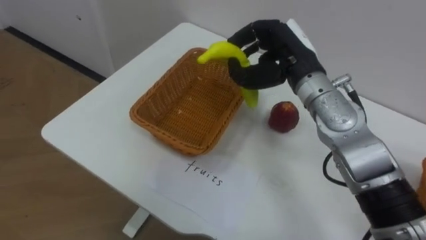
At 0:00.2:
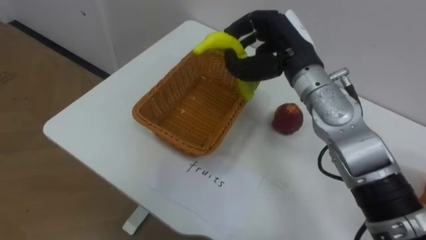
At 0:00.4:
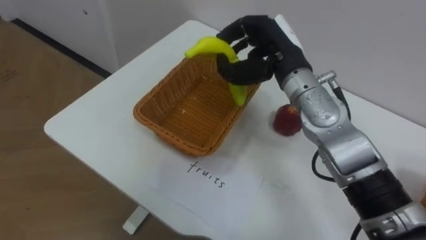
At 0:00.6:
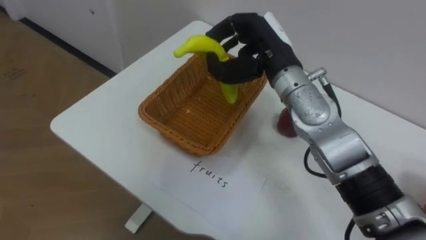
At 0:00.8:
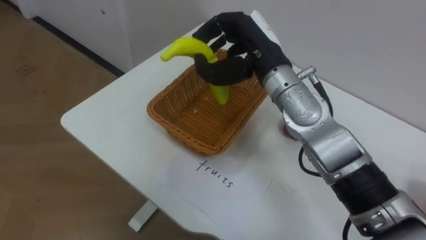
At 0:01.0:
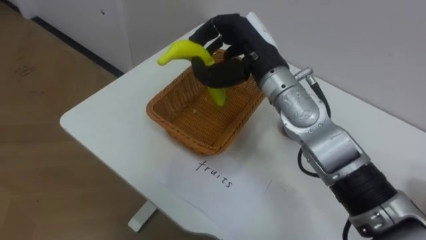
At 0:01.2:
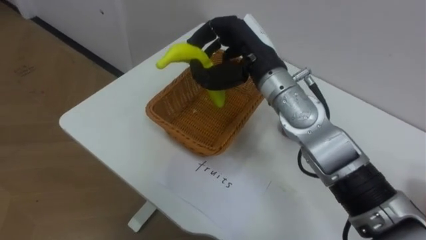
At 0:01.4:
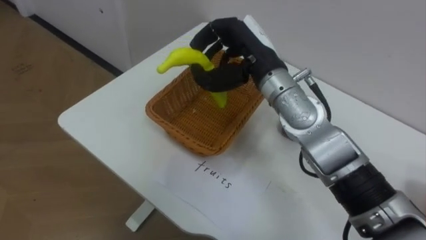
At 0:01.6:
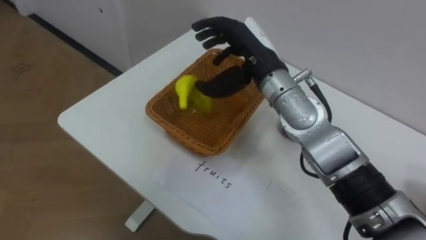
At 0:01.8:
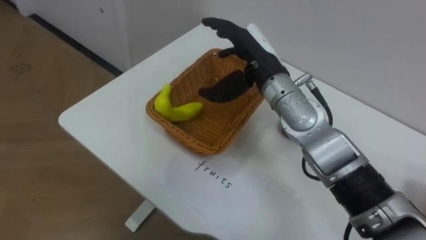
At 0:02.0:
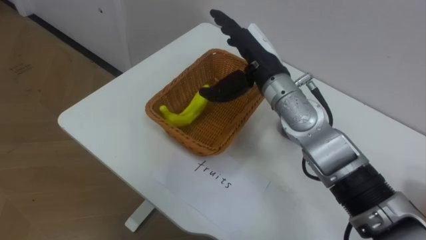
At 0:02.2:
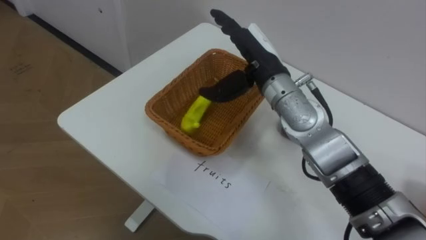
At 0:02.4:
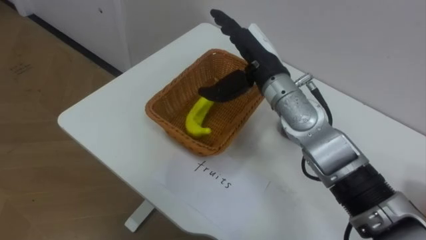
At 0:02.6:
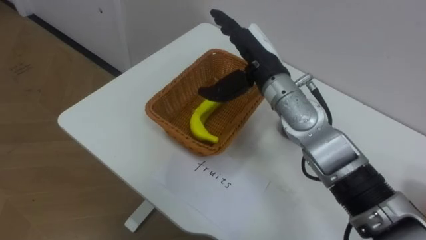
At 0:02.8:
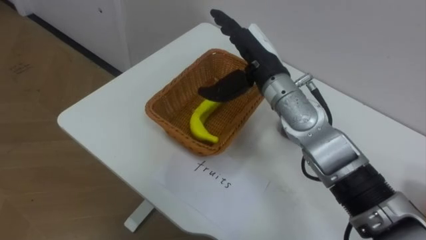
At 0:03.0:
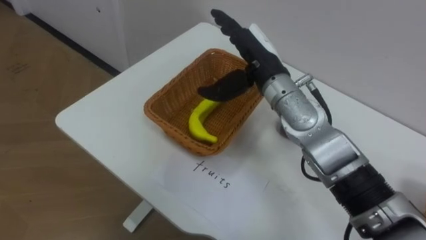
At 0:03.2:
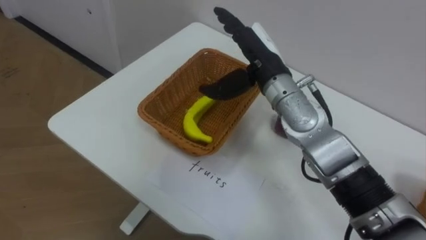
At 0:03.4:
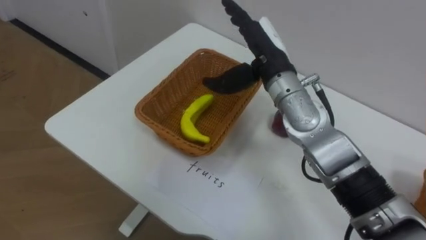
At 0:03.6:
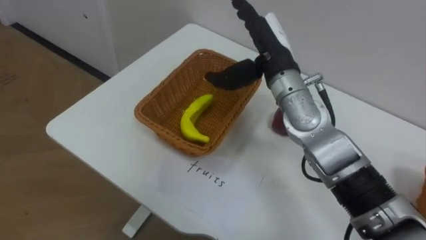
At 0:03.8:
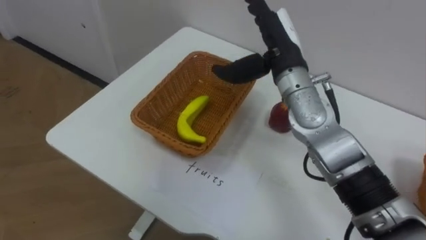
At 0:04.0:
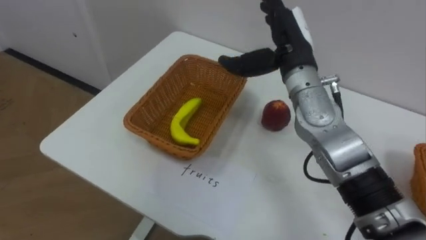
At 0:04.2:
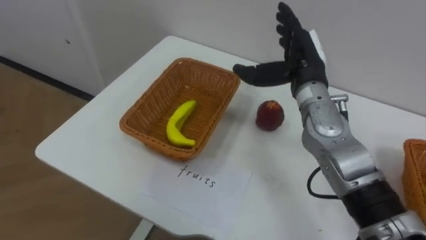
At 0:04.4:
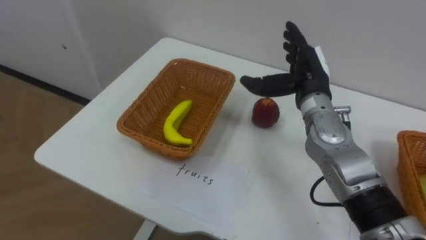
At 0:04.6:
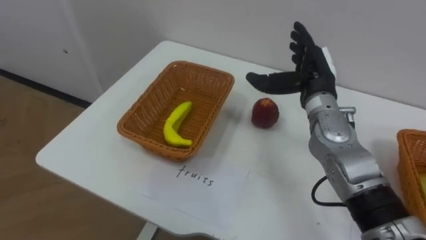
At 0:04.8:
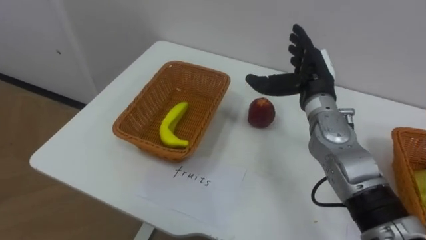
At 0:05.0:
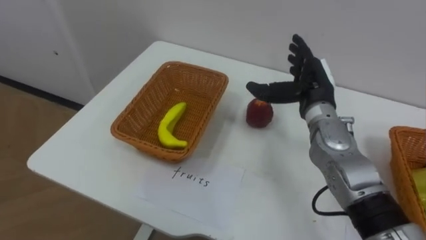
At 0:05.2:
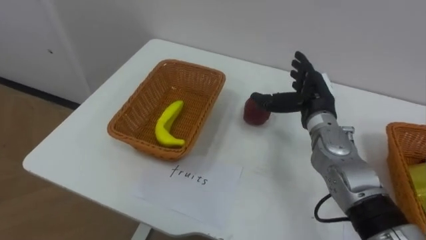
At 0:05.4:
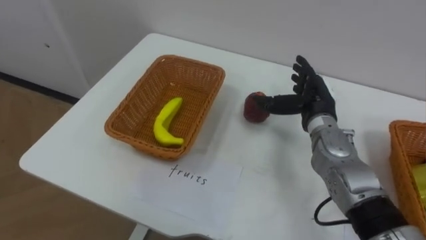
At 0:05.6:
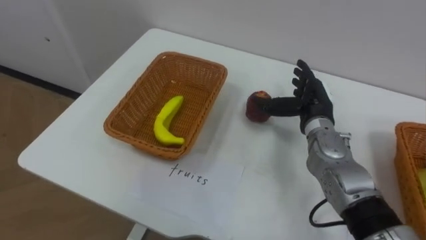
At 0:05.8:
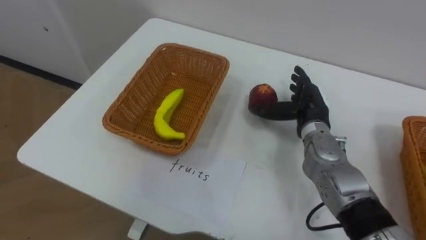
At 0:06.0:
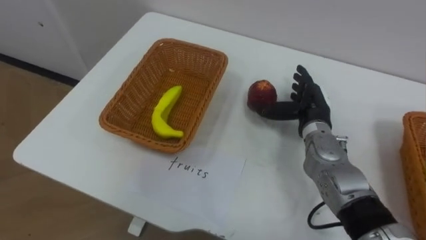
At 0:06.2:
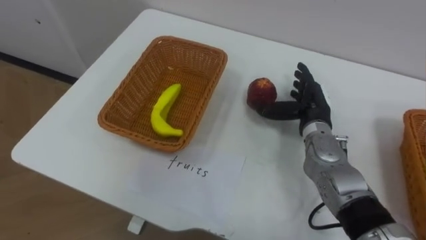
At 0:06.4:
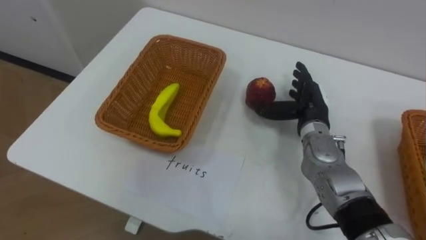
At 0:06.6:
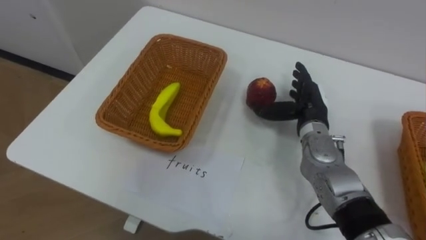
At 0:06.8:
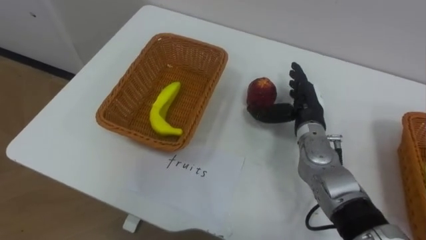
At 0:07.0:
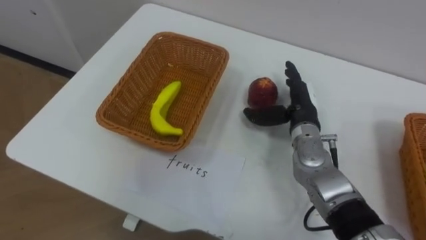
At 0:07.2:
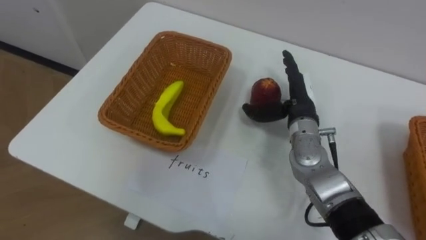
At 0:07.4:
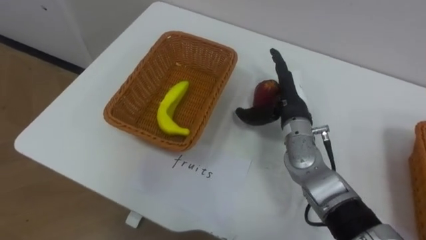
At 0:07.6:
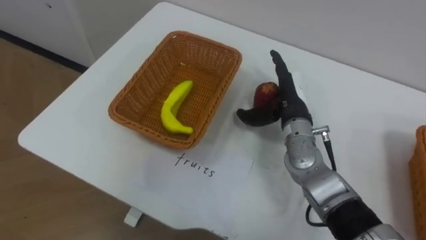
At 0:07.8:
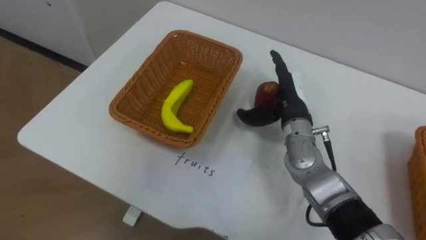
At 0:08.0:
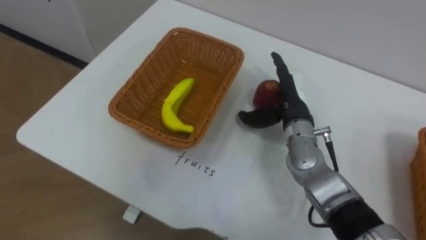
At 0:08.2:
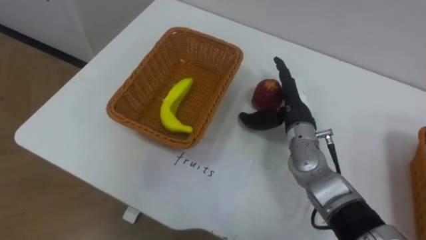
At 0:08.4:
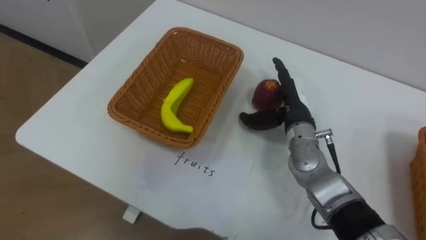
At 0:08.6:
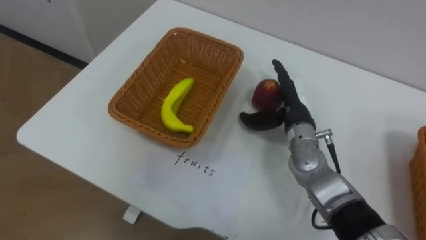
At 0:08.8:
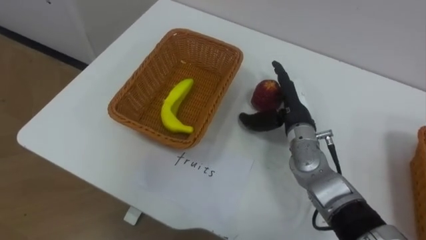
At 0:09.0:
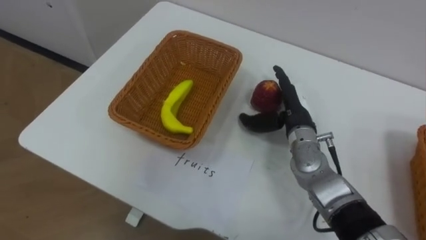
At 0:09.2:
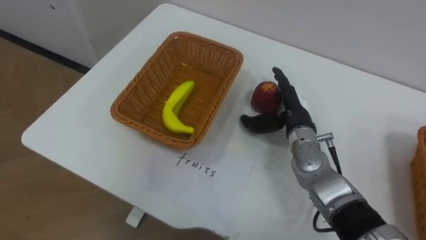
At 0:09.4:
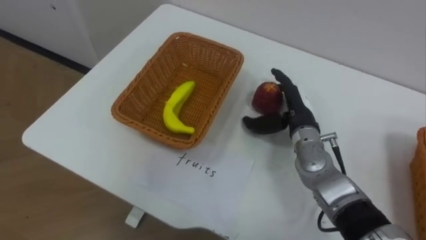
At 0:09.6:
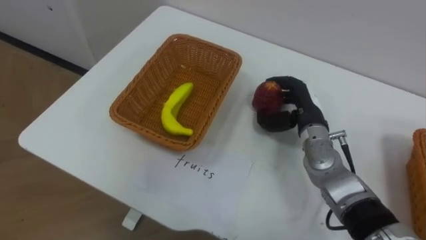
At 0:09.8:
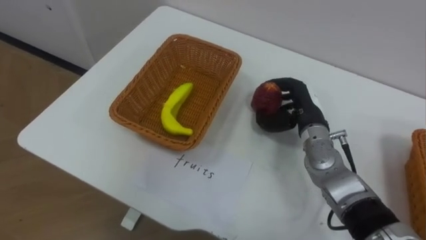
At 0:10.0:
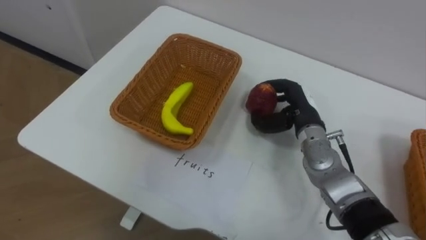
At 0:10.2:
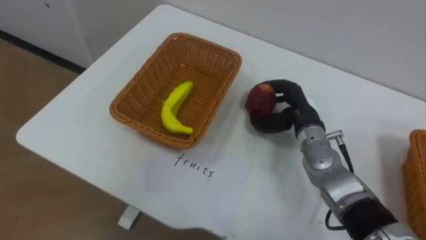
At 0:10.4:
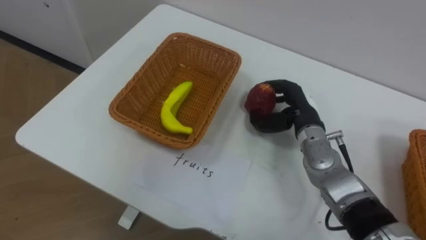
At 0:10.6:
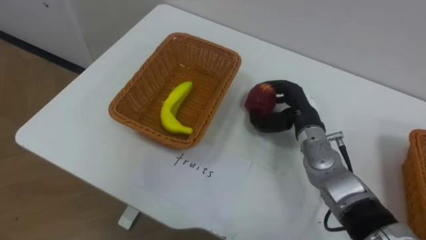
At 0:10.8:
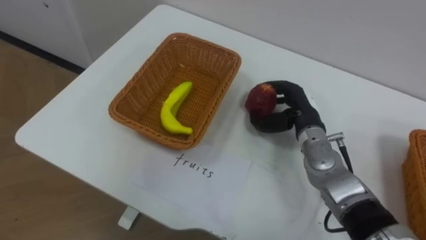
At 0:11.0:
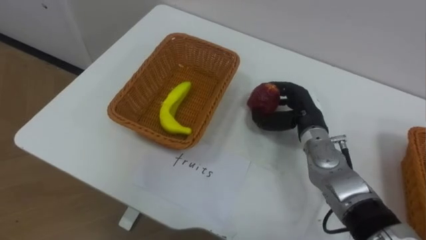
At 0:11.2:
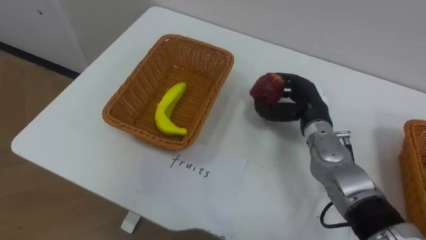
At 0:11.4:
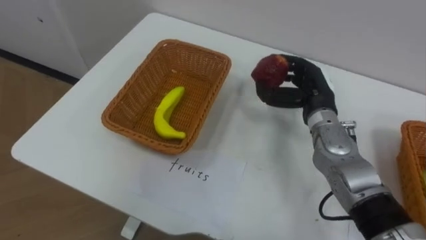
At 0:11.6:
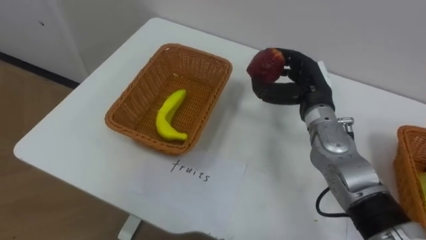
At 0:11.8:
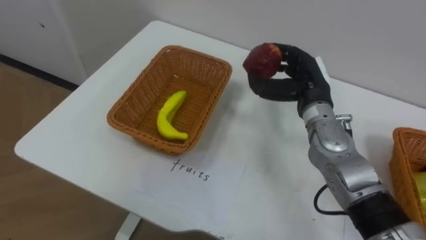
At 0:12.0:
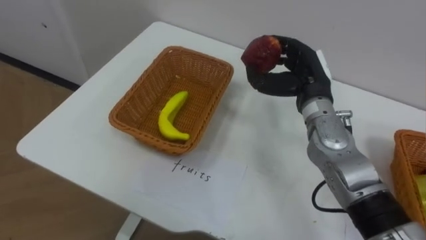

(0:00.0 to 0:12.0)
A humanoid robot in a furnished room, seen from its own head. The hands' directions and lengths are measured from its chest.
Task of the whole recording: Separate the items on the table and place them into the two baskets.
0:00.0 - 0:01.6: The right hand heads to the left, covering about 5 cm, and opens its fingers.
0:03.0 - 0:04.4: The right hand moves to the right, about 10 cm.
0:04.4 - 0:06.0: The right hand heads downward, covering some 10 cm.
0:06.0 - 0:07.6: The right hand changes place by about 5 cm.
0:09.0 - 0:10.4: The right hand closes up.
0:10.4 - 0:12.0: The right hand goes roughly 10 cm upward.

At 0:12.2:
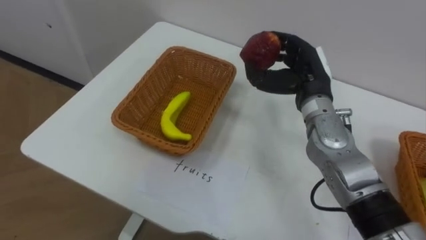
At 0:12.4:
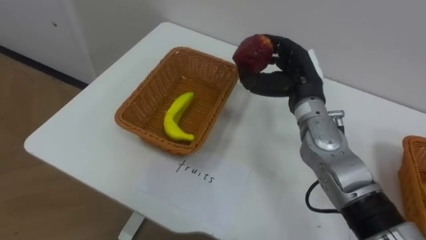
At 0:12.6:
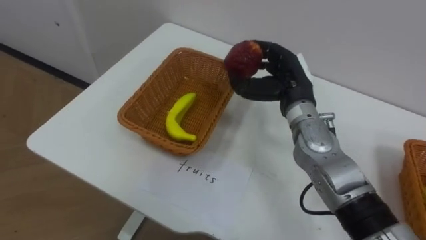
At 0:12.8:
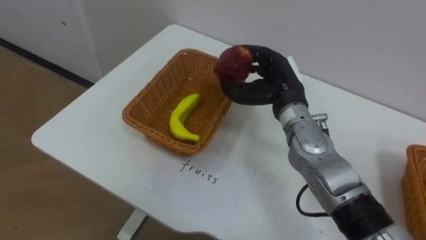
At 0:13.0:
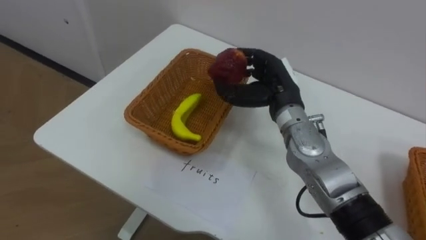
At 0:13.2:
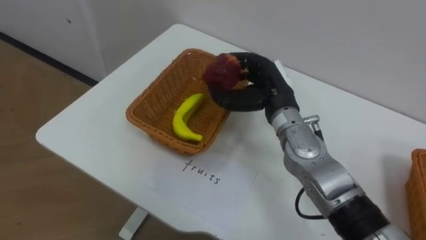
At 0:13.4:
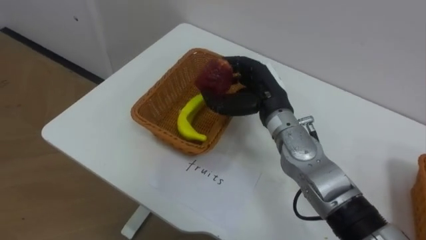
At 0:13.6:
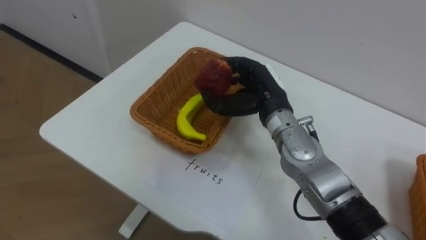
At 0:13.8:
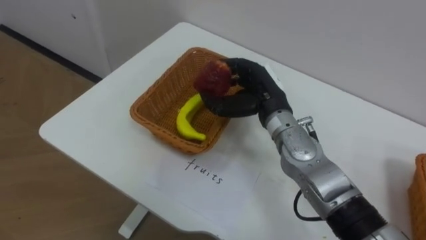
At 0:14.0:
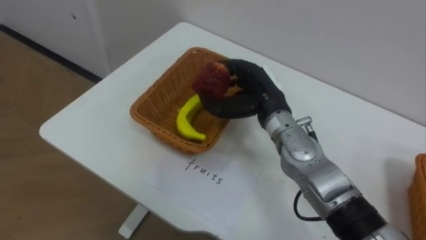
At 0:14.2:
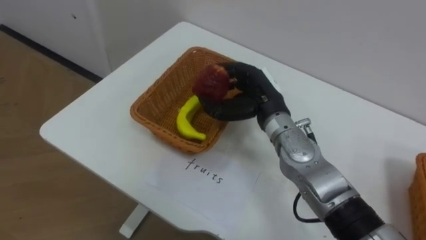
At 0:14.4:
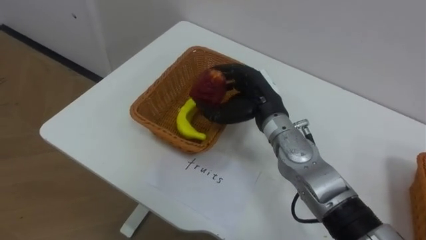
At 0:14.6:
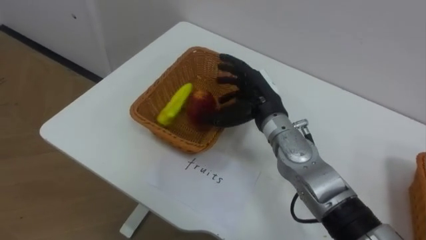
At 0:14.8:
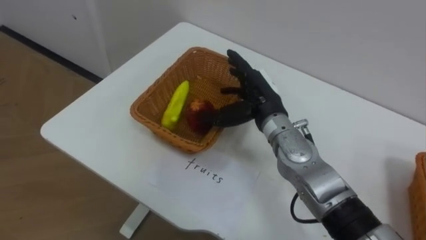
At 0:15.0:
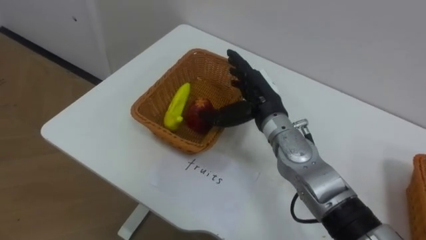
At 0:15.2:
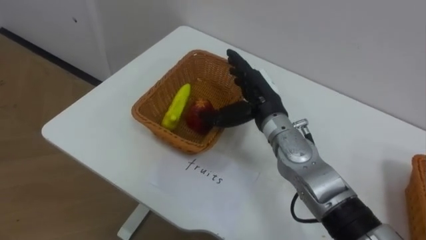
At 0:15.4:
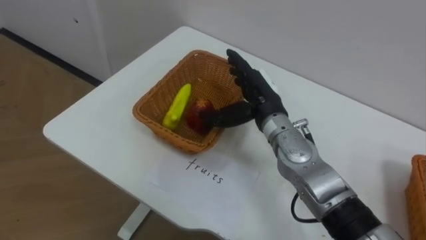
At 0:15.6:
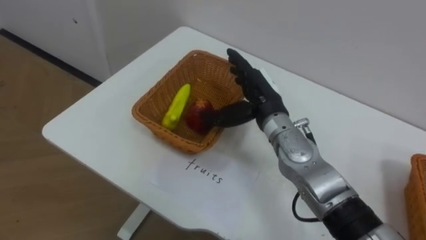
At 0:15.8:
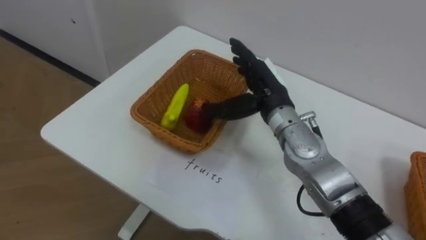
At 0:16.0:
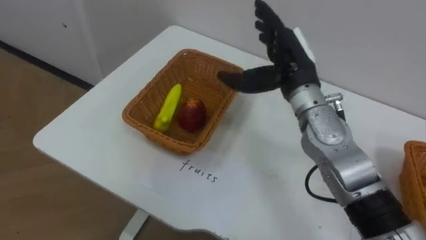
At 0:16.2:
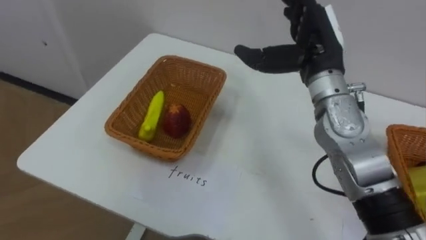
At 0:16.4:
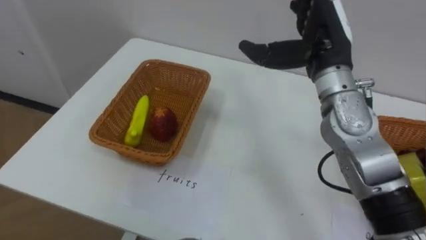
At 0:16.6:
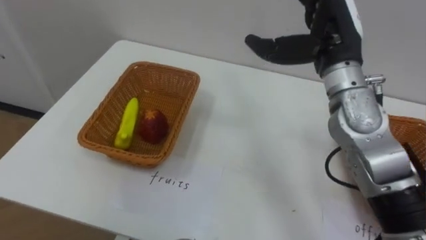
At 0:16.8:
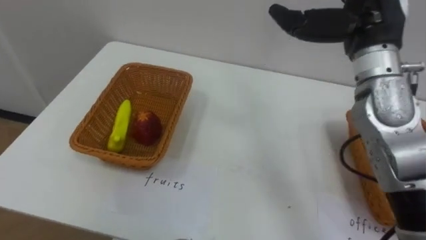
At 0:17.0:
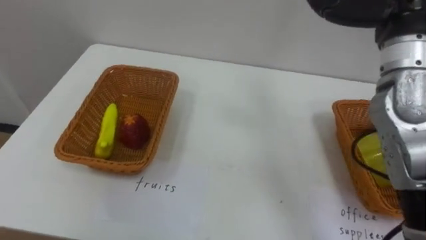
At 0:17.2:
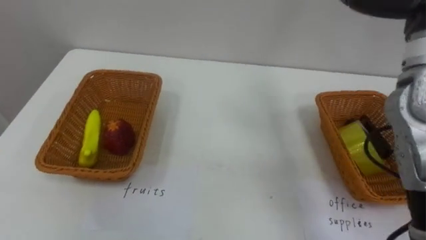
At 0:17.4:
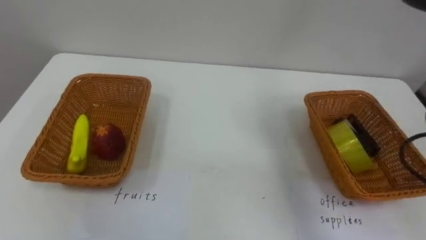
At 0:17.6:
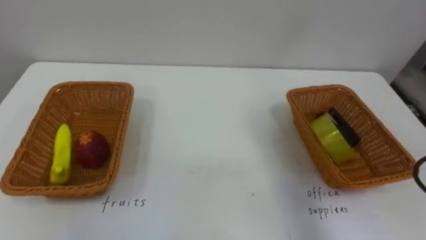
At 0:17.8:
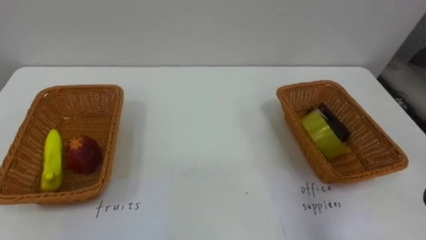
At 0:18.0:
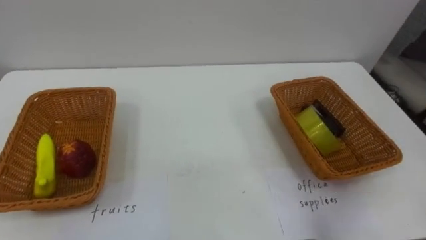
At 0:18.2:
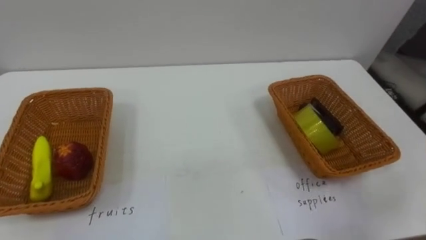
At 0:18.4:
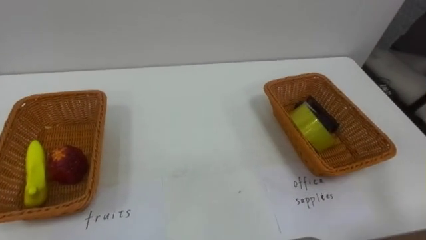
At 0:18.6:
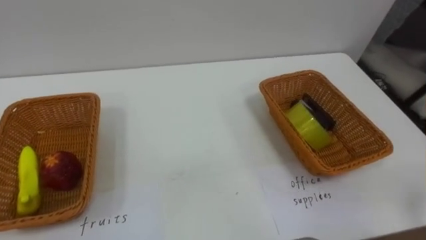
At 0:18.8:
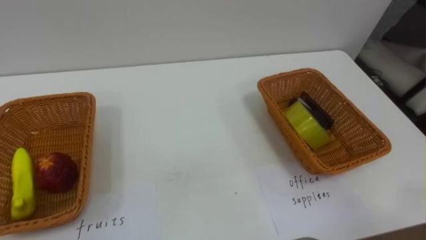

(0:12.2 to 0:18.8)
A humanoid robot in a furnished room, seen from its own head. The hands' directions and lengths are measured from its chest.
Task of the whole recording: Separate the items on the table and place them into the two baskets.
0:12.2 - 0:13.8: The right hand heads to the left, covering approximately 5 cm.
0:13.8 - 0:15.4: The right hand opens its fingers.
